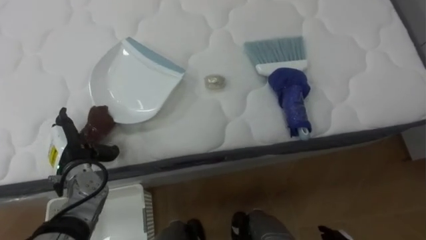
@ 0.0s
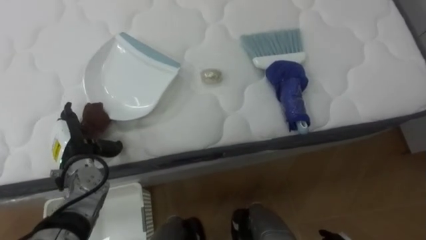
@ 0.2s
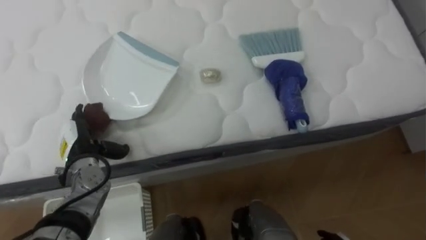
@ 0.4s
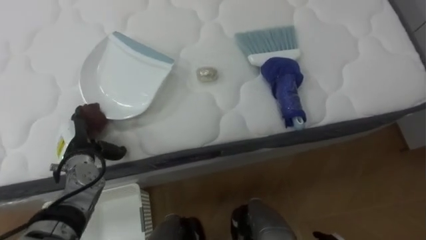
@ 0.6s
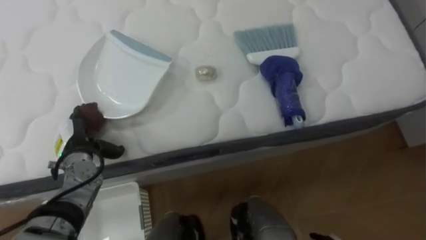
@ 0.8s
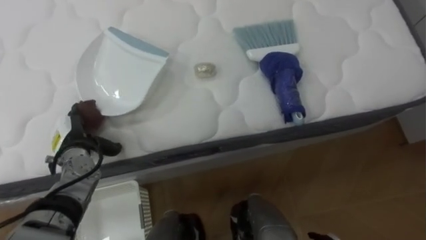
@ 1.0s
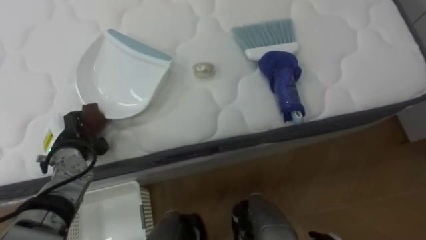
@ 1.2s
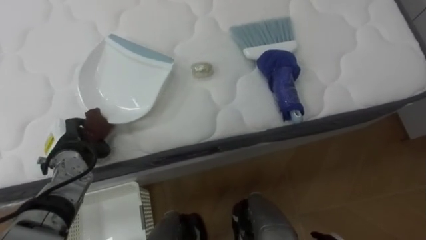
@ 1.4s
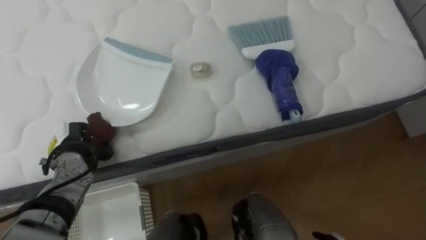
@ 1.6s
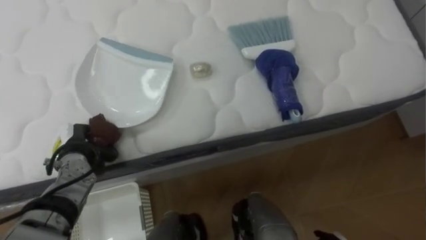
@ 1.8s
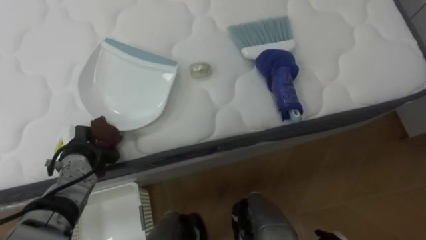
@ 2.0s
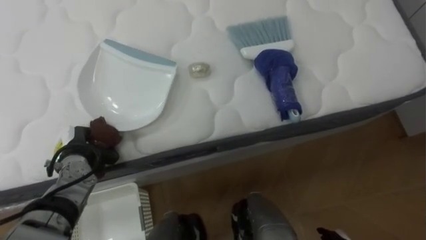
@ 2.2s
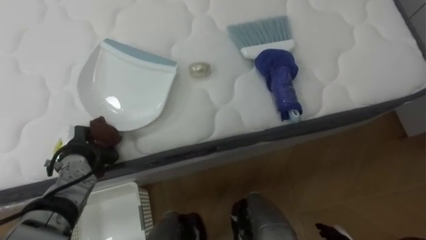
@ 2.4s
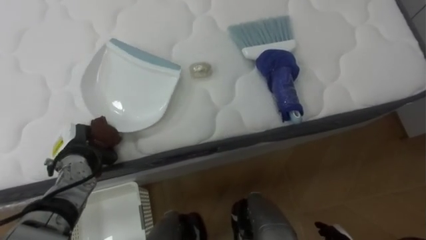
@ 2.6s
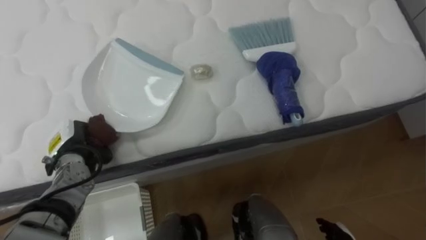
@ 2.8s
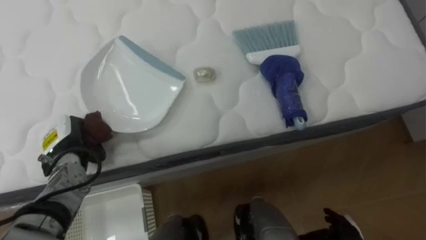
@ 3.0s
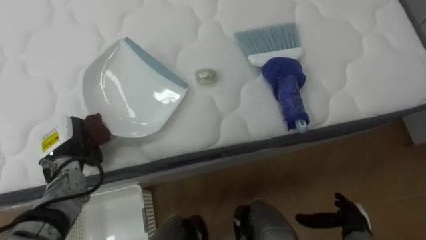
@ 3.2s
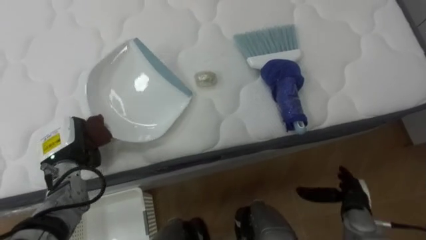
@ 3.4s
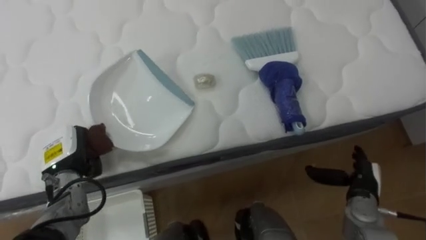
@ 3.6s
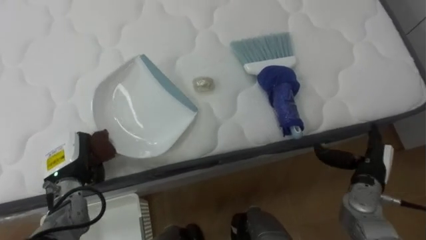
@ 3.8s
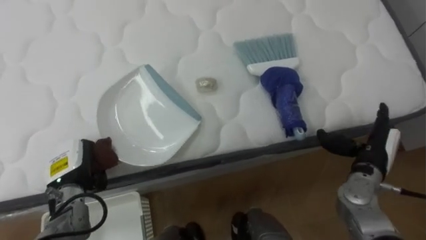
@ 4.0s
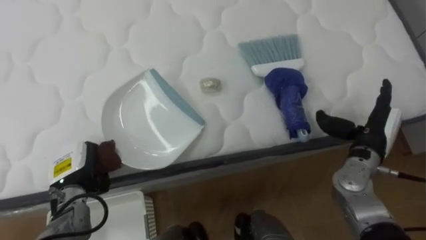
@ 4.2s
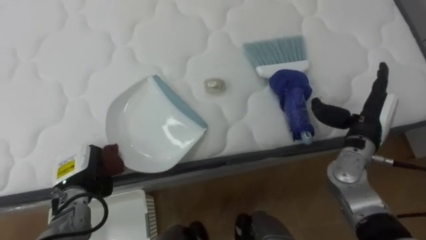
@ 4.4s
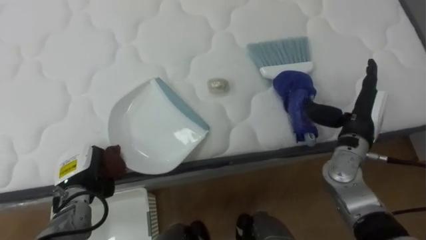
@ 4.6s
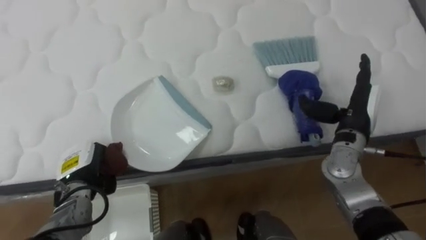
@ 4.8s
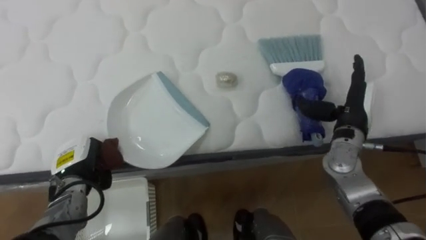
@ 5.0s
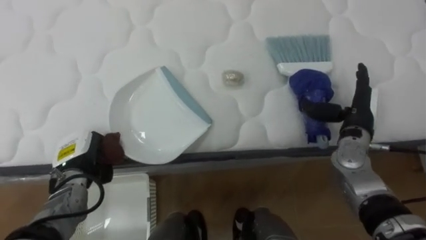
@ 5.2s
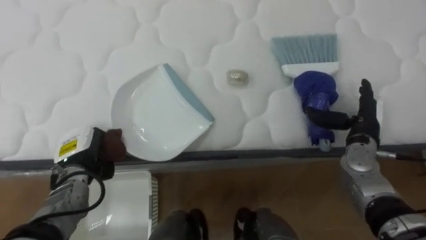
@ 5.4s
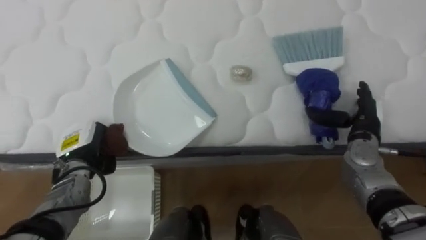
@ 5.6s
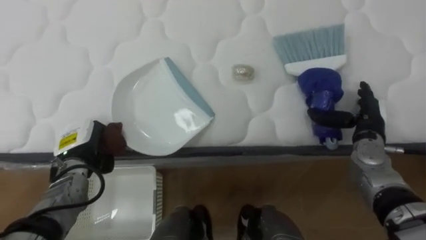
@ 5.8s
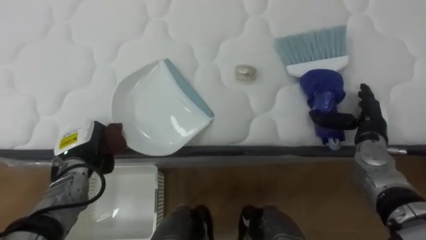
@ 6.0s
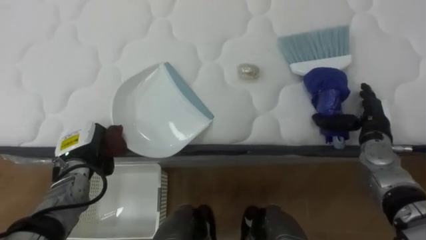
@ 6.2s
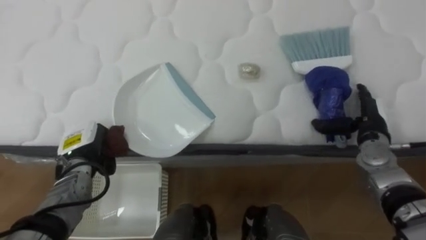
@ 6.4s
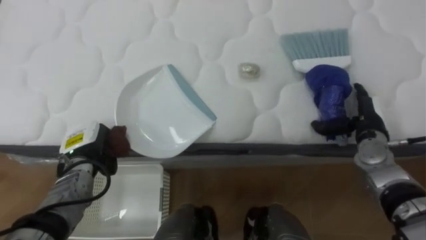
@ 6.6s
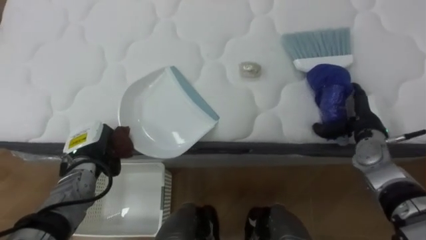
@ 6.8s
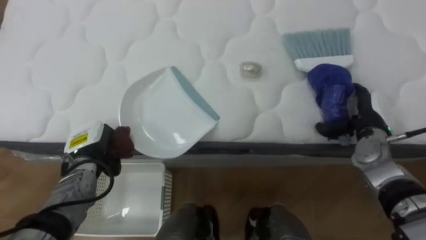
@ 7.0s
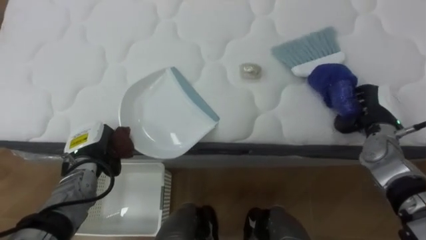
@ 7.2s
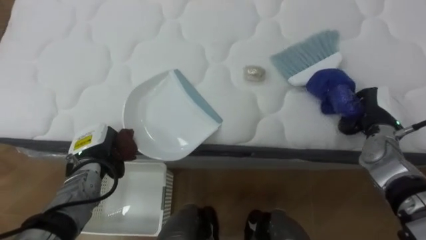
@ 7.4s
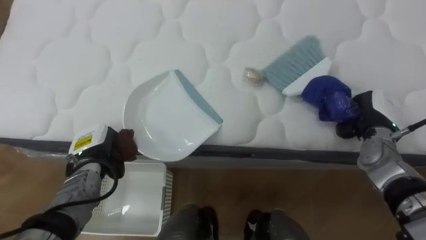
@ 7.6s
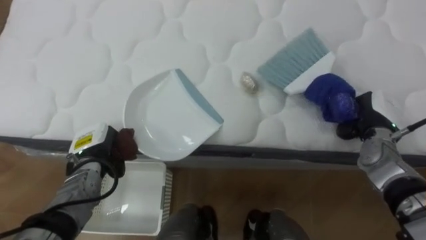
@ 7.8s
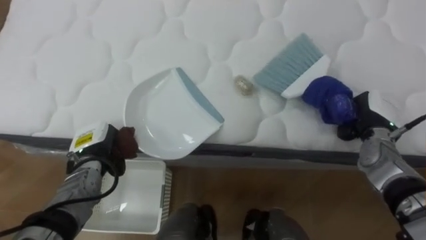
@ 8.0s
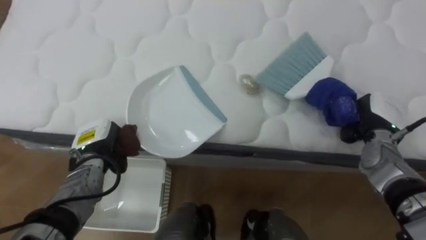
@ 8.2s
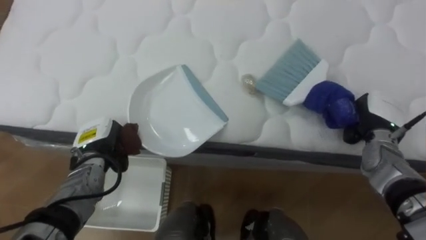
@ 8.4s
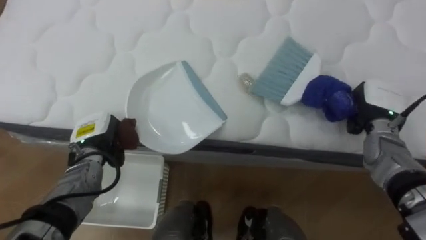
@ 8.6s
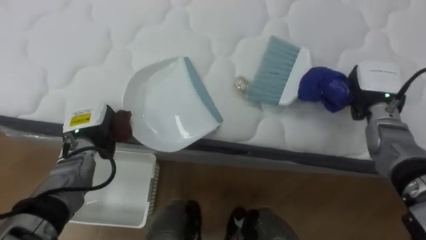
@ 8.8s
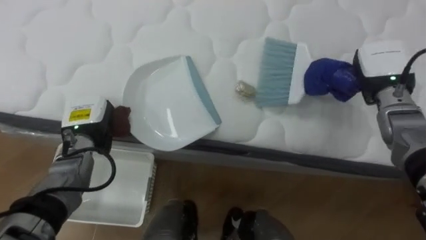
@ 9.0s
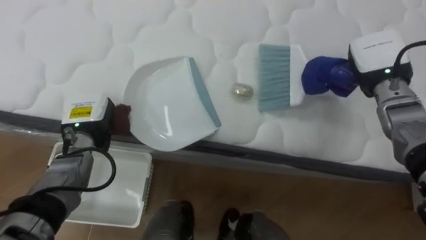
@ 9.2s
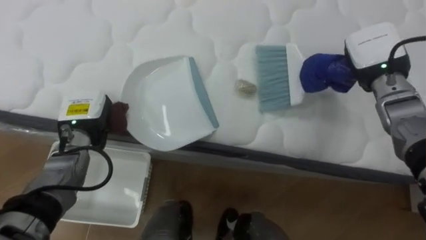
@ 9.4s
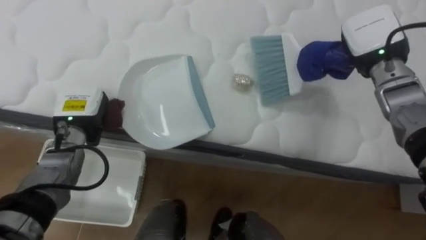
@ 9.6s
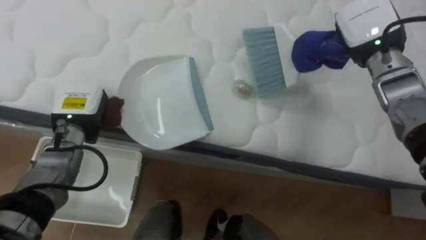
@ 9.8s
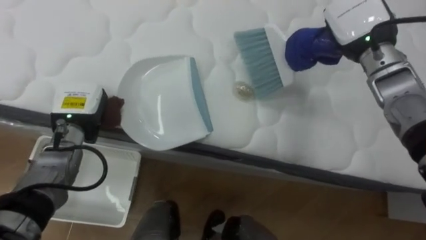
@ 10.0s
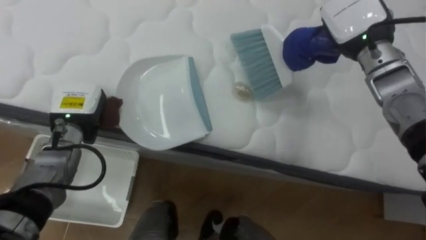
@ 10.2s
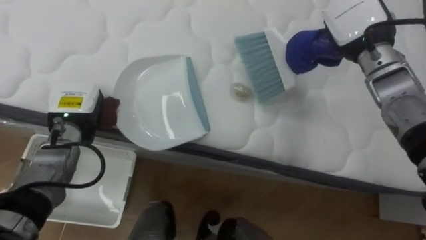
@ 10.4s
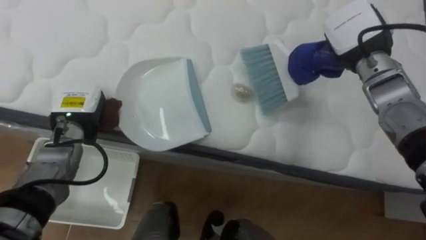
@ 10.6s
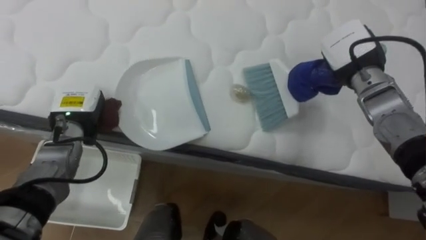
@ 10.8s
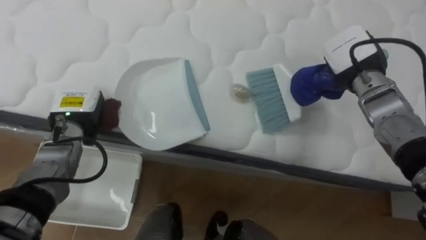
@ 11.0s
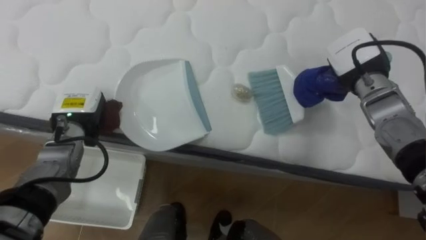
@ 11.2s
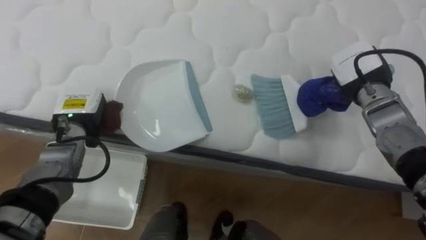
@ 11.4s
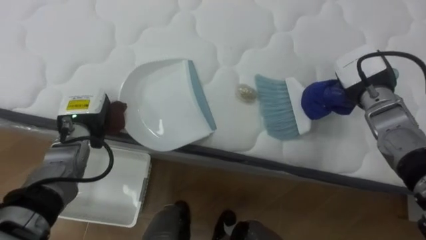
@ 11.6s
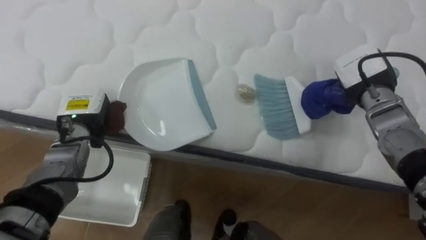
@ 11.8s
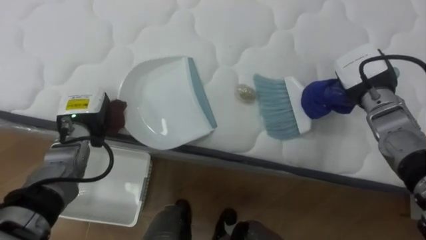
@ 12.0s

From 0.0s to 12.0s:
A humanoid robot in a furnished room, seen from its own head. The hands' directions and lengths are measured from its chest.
Task of the whole recording: Pick up the brush on your right and the dustpan on your left. Use the brush to sweep the crumpled paper on the bed into the dustpan, then turn left and empty it into the basket.
From 0.0s to 1.6s: The left hand closes.
From 3.0s to 4.4s: The left hand heads backward, covering some 5 cm.
From 4.4s to 6.0s: The left hand moves approximately 5 cm. The right hand changes place by roughly 5 cm.
From 6.0s to 7.6s: The right hand closes up.
From 7.6s to 9.0s: The left hand goes some 5 cm upward. The right hand heads upward, covering roughly 10 cm.
From 9.0s to 10.4s: The right hand shifts roughly 10 cm upward and to the left.
From 10.4s to 12.0s: The right hand moves downward, about 10 cm.

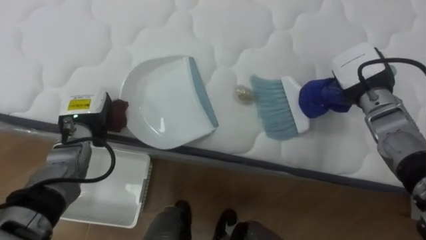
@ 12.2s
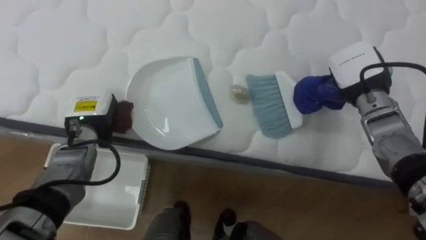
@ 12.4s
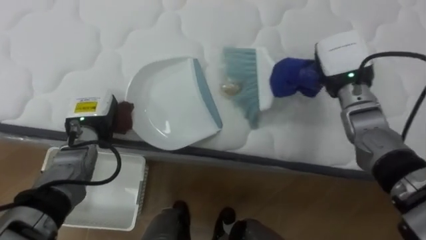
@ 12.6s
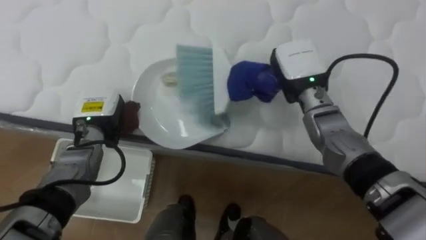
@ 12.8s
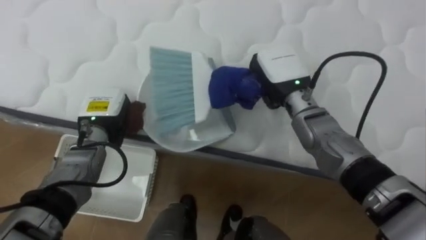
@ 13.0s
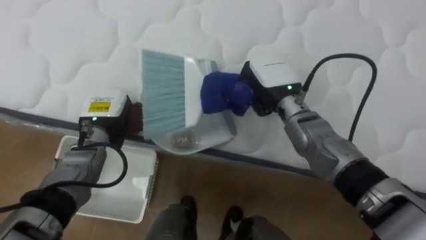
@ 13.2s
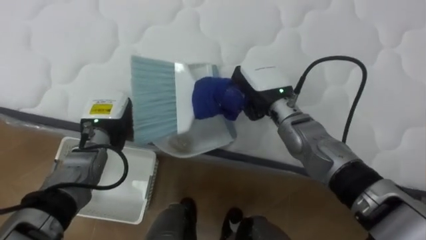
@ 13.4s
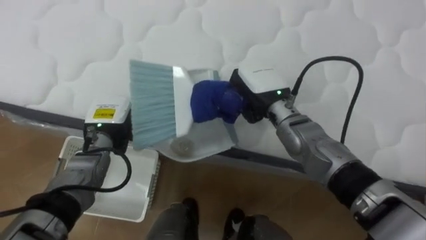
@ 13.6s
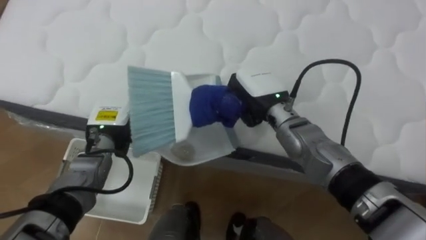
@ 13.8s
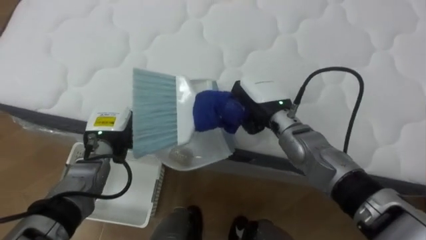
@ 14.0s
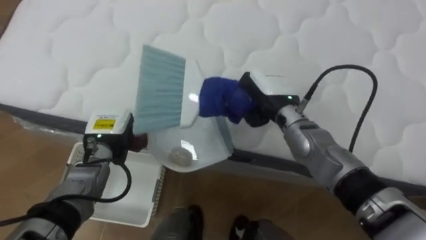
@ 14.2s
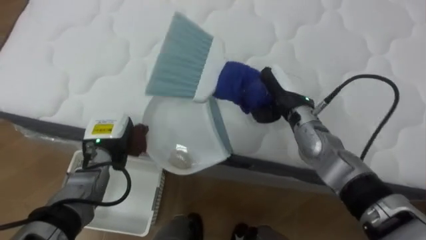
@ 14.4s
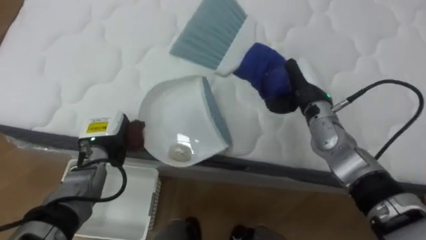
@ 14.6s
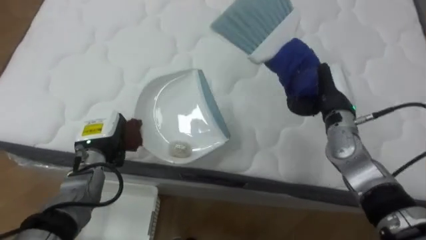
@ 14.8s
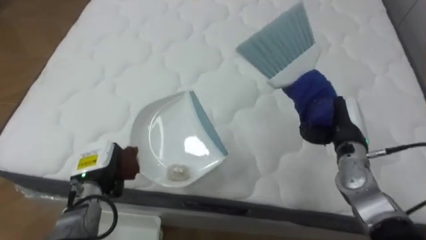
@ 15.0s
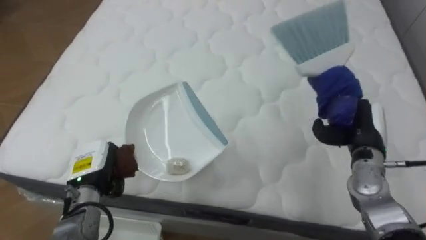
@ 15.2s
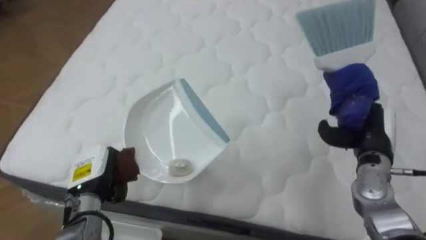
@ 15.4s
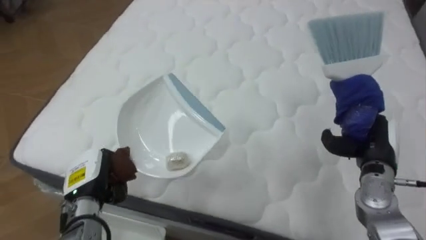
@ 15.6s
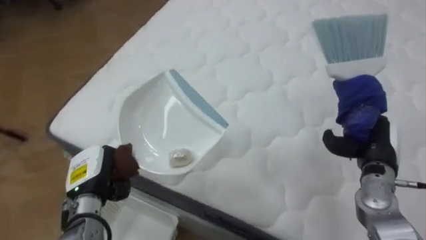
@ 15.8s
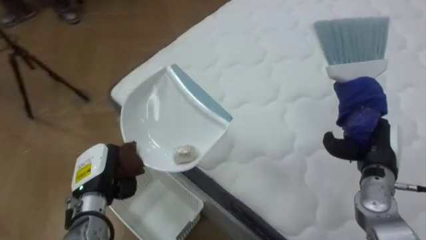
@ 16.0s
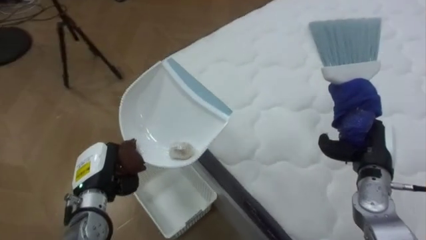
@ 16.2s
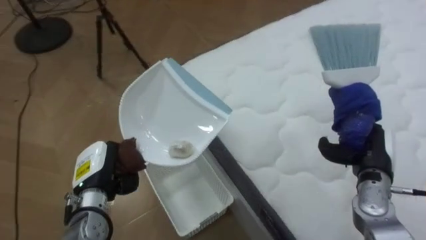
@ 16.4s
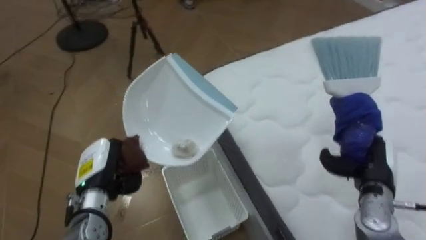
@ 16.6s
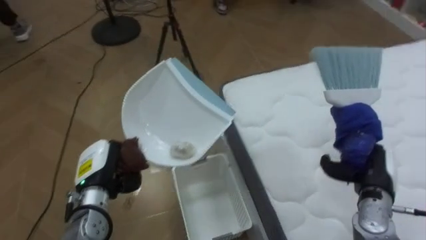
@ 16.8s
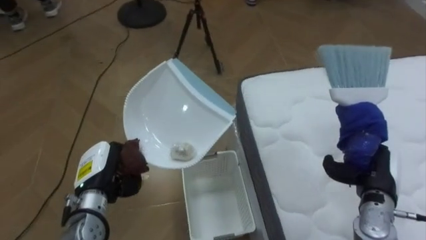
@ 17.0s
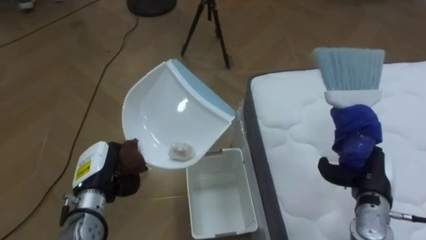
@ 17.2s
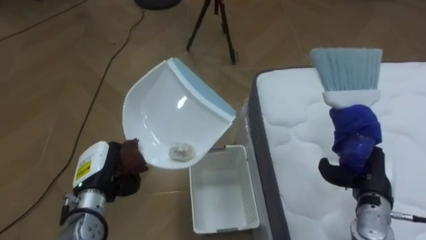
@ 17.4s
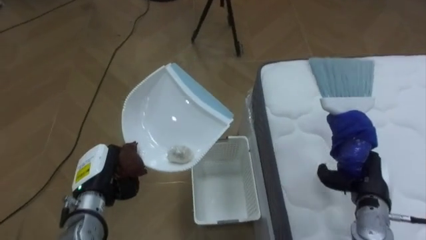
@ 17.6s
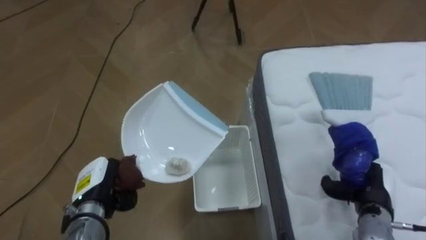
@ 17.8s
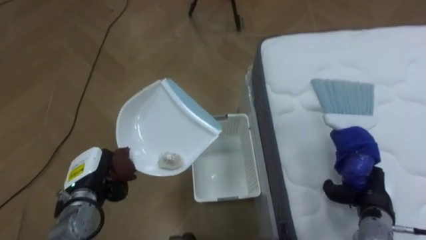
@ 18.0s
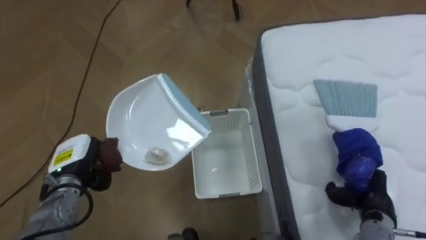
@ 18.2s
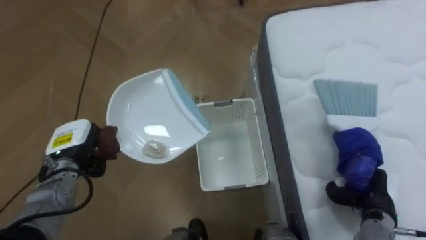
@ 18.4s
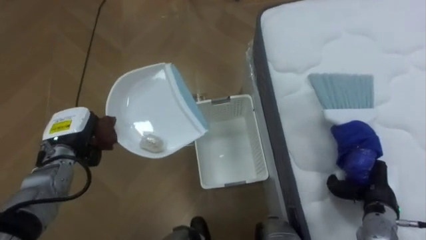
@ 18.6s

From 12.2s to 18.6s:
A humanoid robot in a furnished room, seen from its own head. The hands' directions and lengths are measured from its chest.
Task of the whole recording: Pick up the brush on your right and the dustpan on your left. Use the brush to sweep the crumpled paper on the bed into the dustpan, then turn left and empty it into the basket.
From 12.2s to 13.8s: The left hand shifts by some 5 cm. Meanwhile the right hand is displaced to the left by roughly 20 cm.
From 13.8s to 15.4s: The left hand moves backward, about 10 cm, while the right hand moves to the right, roughly 20 cm.
From 15.4s to 17.0s: The robot faces about 70 degrees further to its left. The right hand is displaced backward by roughly 5 cm.
From 17.0s to 18.6s: The left hand travels forward and to the left by roughly 10 cm.
